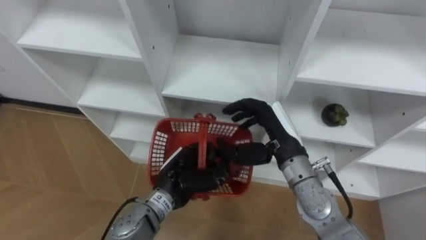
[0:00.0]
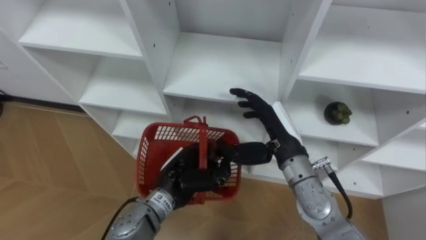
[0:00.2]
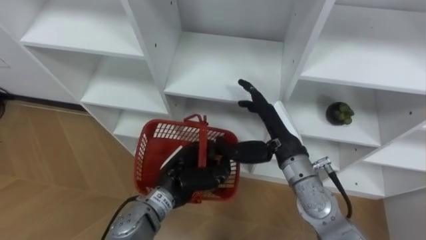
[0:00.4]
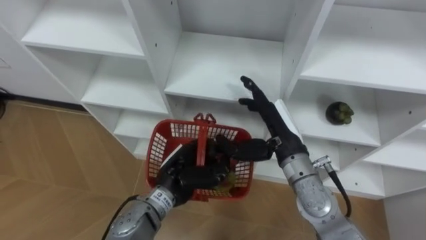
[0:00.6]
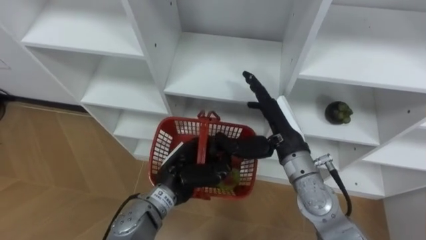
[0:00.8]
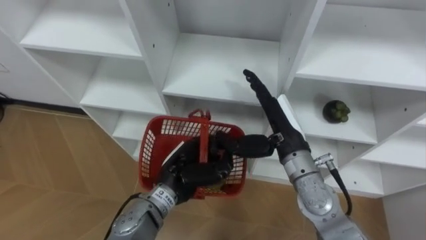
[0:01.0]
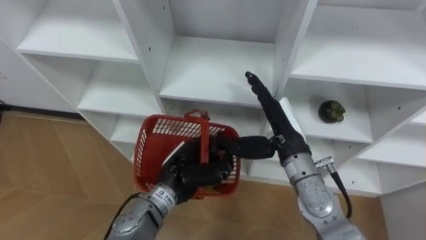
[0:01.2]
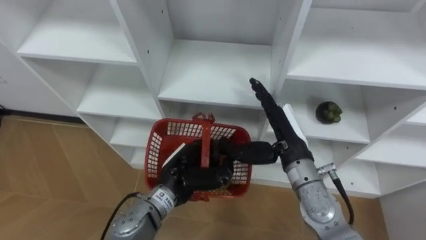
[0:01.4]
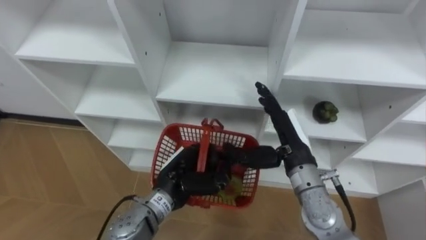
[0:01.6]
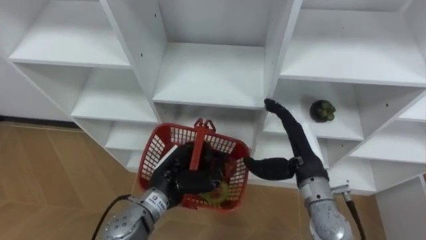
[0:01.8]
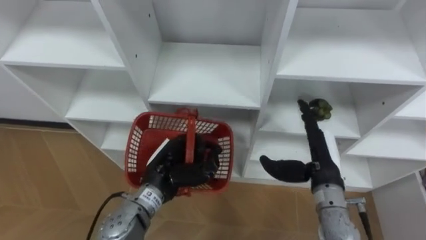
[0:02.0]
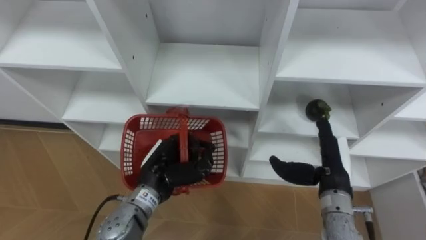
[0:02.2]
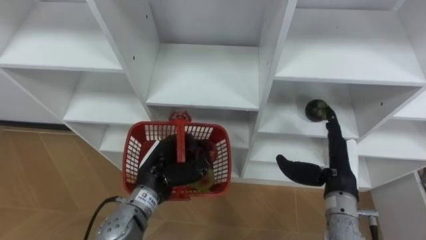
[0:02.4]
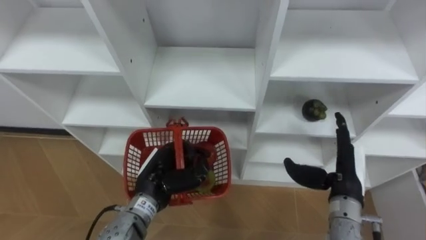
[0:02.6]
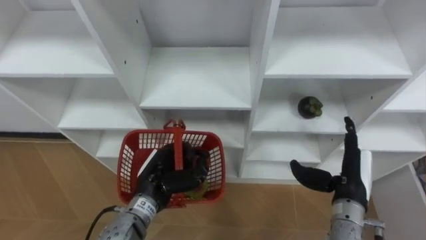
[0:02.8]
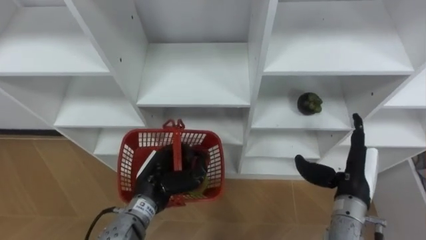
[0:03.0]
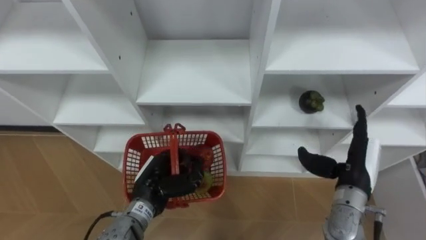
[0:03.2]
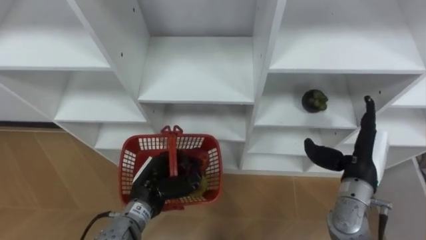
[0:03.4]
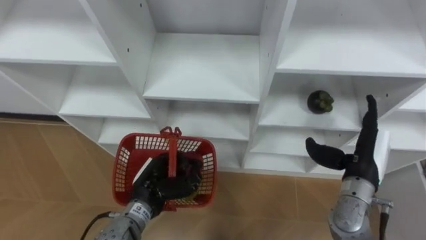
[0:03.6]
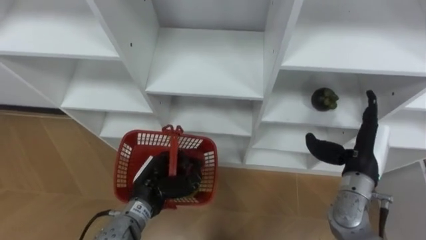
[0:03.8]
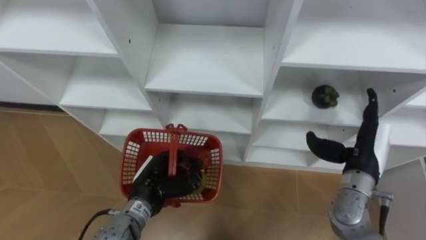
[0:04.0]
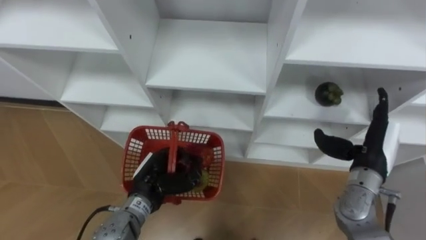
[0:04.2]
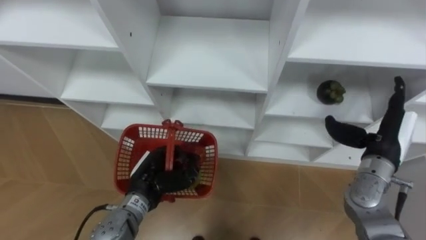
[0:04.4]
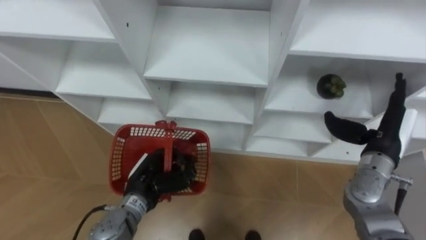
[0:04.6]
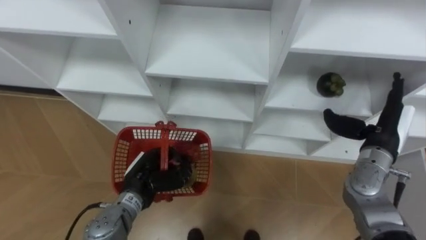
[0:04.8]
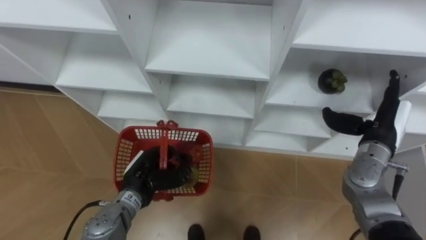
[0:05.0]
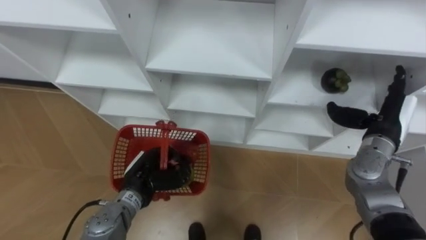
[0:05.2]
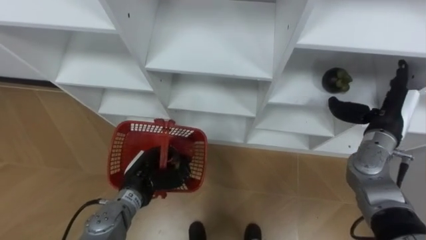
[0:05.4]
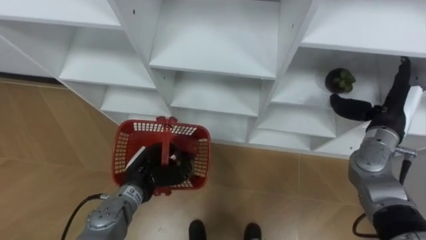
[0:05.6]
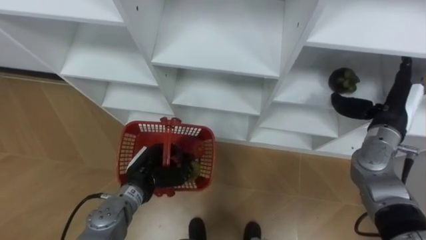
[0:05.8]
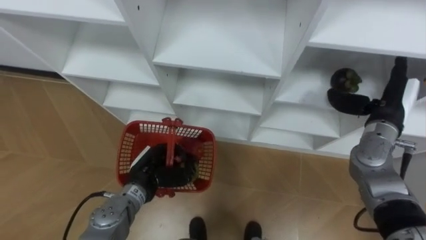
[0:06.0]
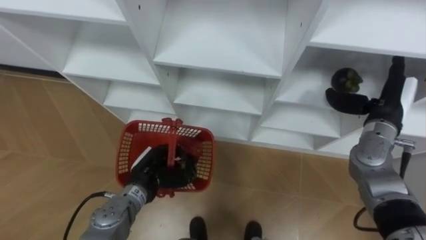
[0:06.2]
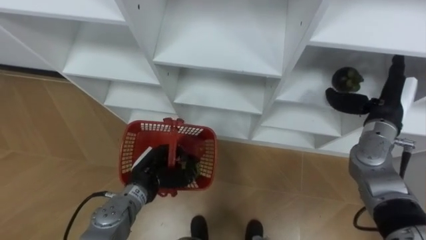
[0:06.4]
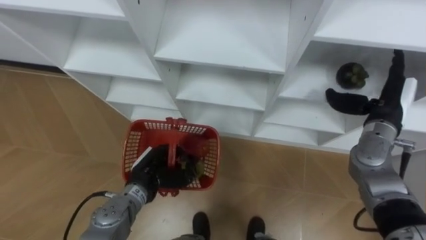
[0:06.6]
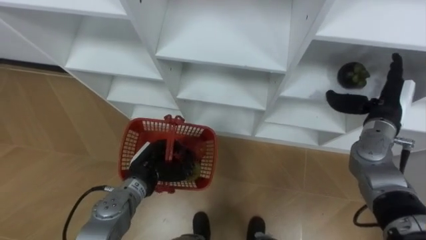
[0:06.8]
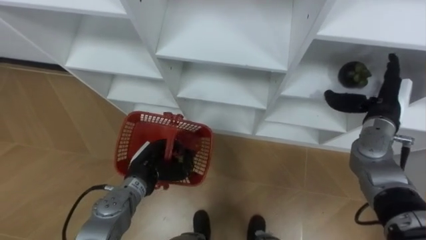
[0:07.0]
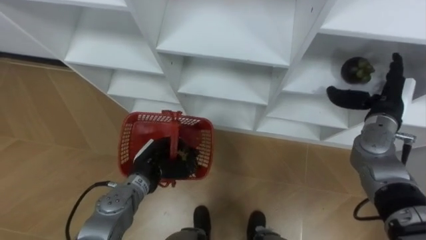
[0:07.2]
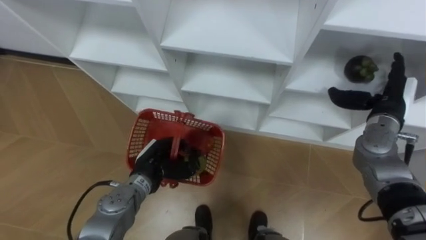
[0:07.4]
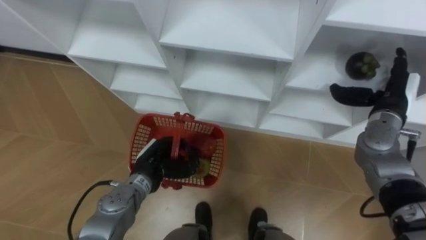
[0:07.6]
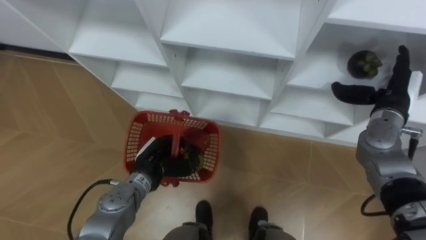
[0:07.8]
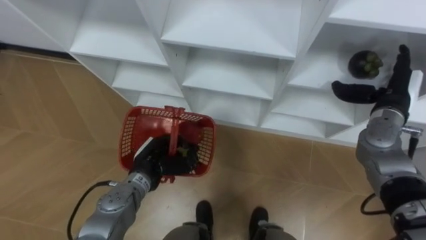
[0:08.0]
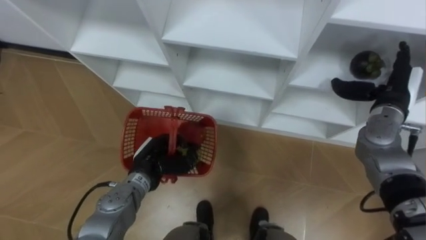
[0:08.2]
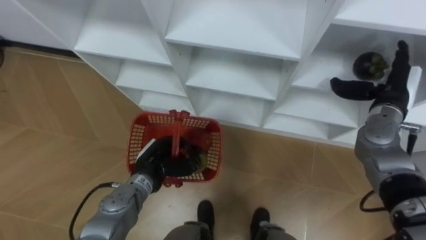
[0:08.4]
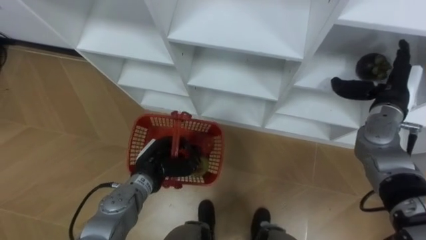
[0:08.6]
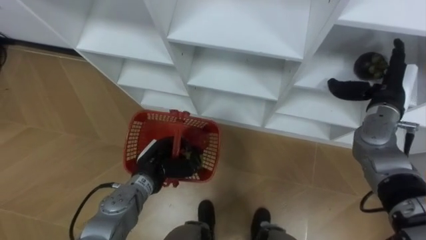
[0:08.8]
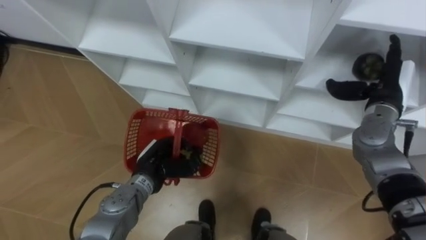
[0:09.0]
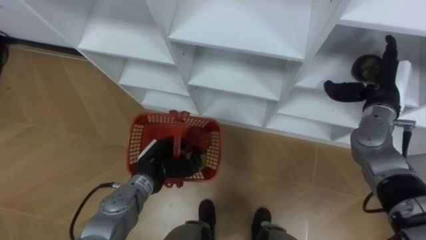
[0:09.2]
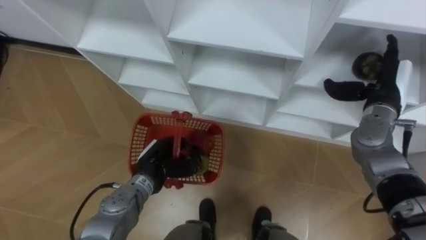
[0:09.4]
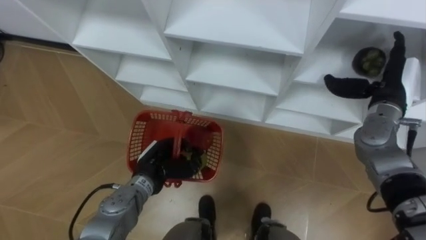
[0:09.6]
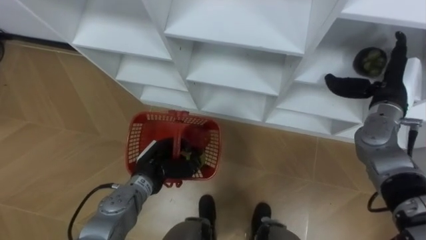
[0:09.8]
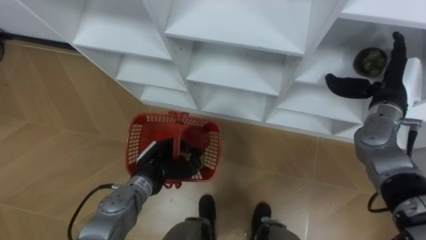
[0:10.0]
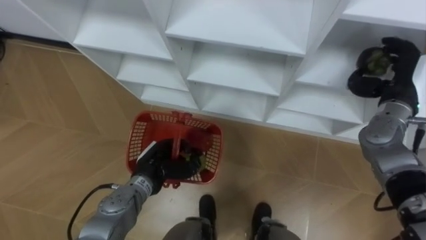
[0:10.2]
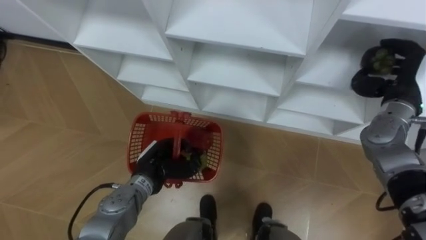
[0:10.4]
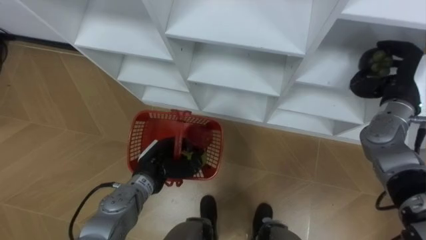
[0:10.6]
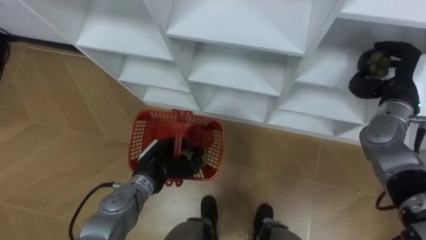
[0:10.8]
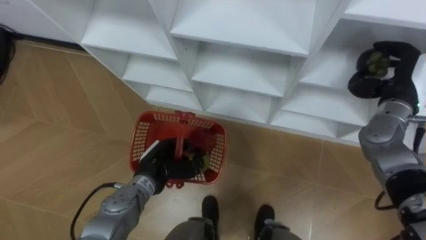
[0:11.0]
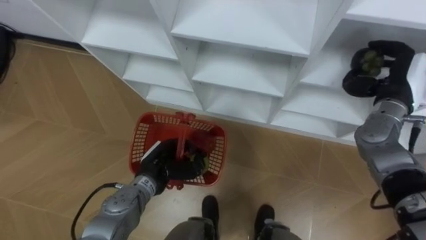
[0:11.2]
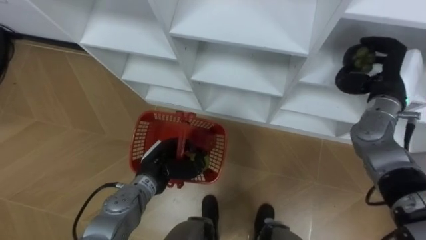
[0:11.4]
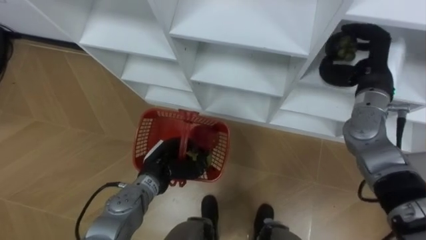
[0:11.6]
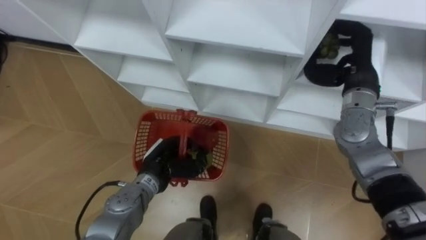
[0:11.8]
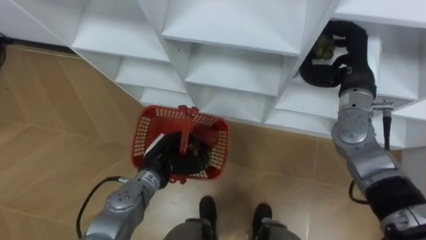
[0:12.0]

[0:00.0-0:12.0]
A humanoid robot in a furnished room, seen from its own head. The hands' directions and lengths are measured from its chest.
Task of the whole recording: Hold the basket and collect the fruits from 3 different cells of the closet into it.
0:00.0 to 0:01.6: The right hand opens its fingers.
0:01.6 to 0:03.0: The right hand travels to the right by about 10 cm.
0:03.0 to 0:04.4: The right hand shifts some 5 cm forward.
0:04.4 to 0:06.0: The right hand is displaced forward by approximately 5 cm.
0:09.0 to 0:10.4: The right hand closes up.
0:10.4 to 0:12.0: The right hand moves to the left, some 10 cm.

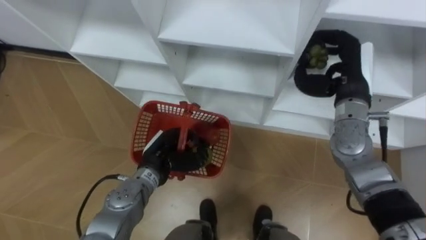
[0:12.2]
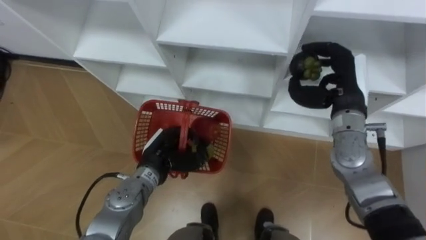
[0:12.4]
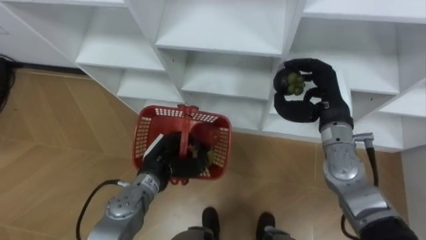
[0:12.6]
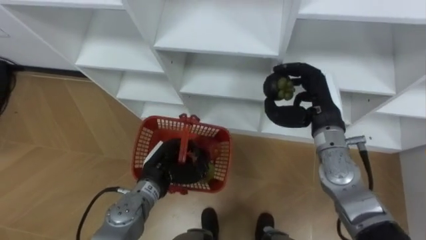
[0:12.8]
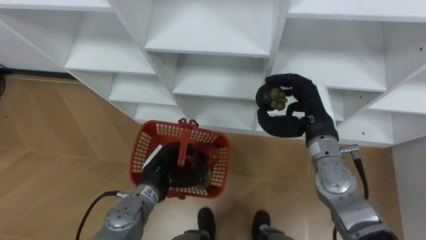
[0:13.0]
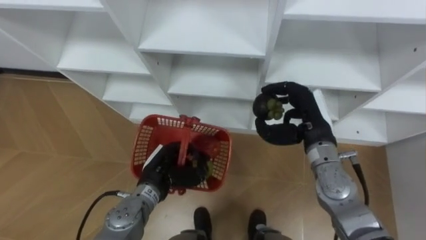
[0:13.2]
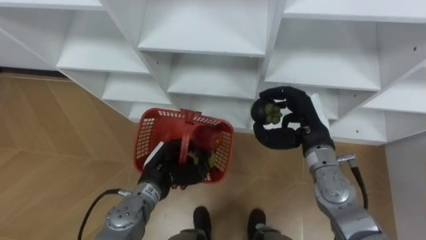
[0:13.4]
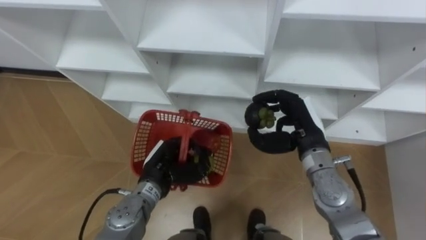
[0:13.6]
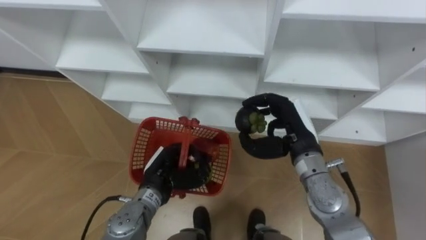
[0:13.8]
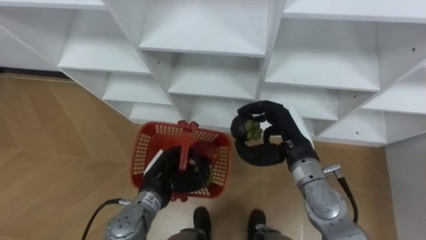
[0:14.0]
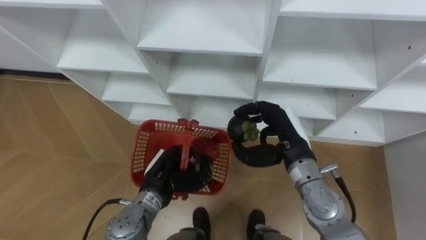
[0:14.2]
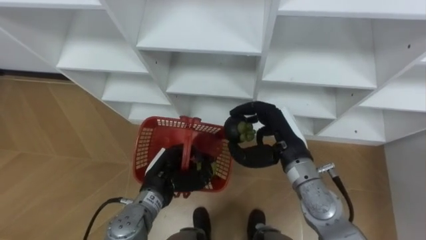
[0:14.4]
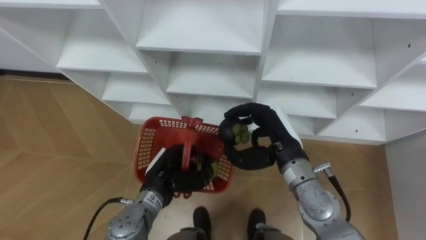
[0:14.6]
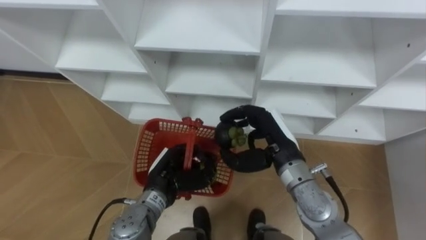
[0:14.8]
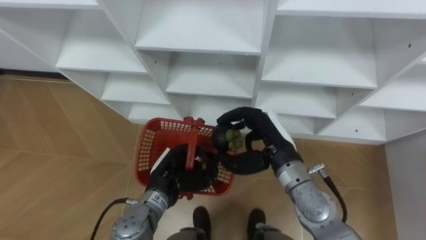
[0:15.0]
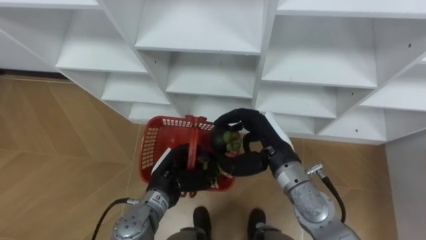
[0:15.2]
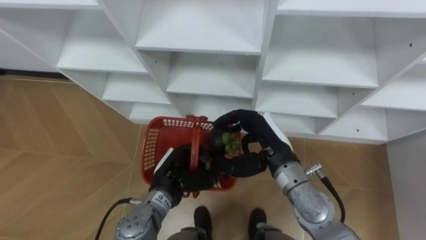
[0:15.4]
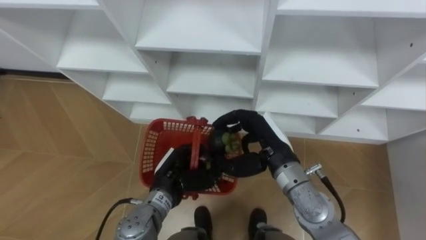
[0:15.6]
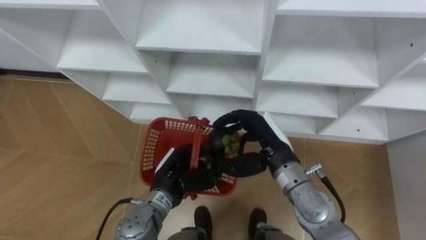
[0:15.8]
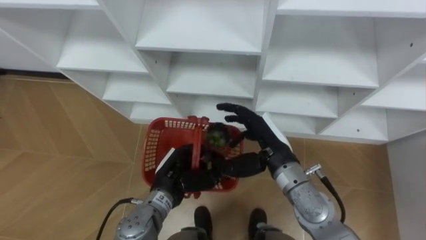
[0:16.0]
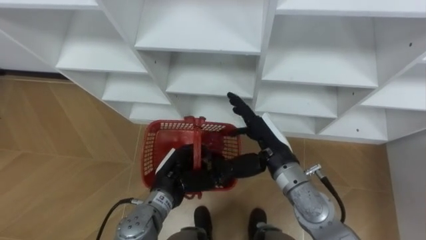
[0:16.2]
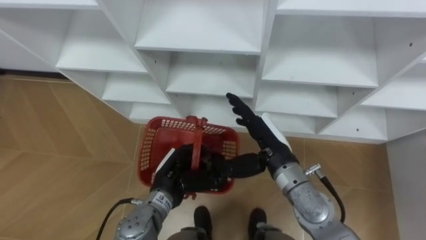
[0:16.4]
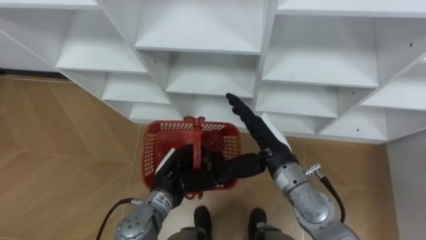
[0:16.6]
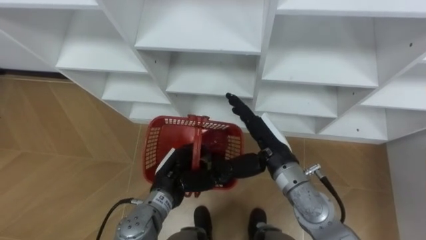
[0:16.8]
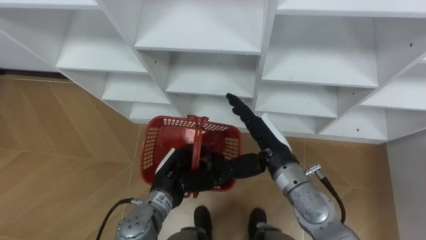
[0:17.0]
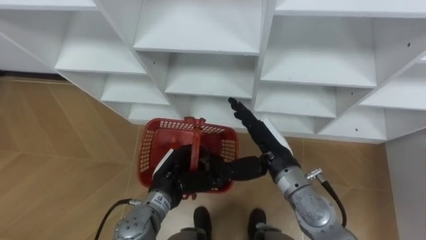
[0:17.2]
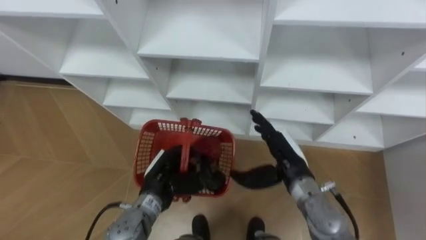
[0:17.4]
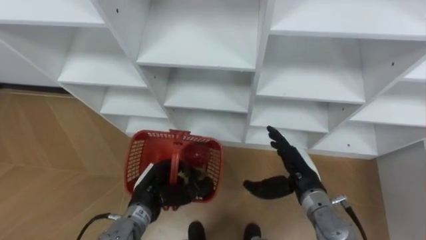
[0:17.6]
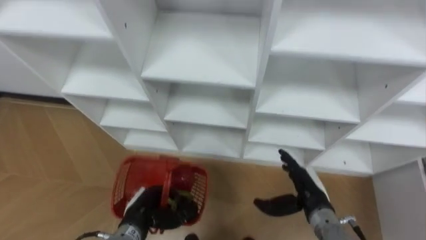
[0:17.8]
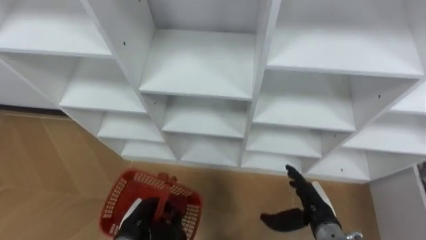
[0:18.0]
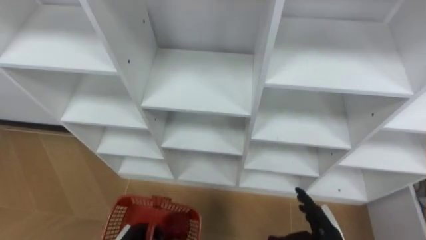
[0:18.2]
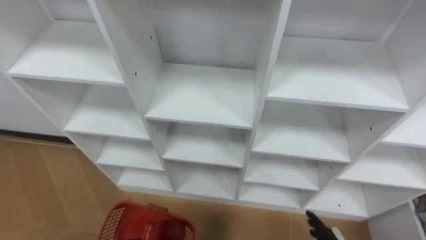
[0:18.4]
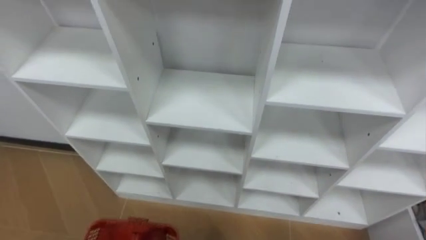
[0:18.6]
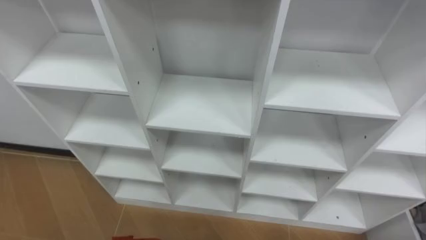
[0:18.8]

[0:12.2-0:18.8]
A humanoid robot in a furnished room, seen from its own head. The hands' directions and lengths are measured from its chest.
Task of the whole recording: Hold the basket and collect the fruits from 3 different cells of the closet into it.
0:12.2 to 0:13.8: The right hand goes some 15 cm to the left, downward and backward.
0:13.8 to 0:15.4: The right hand heads to the left, covering approximately 5 cm.
0:15.4 to 0:17.2: The right hand opens.
